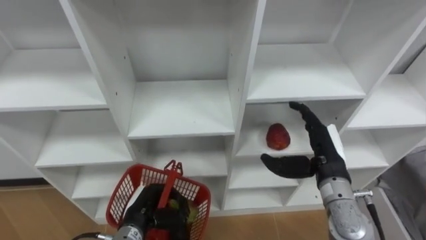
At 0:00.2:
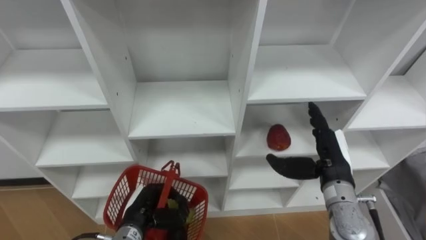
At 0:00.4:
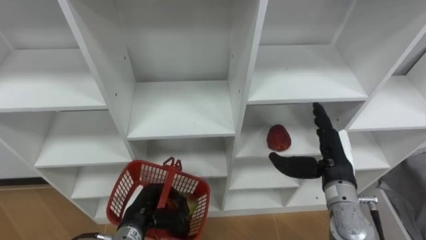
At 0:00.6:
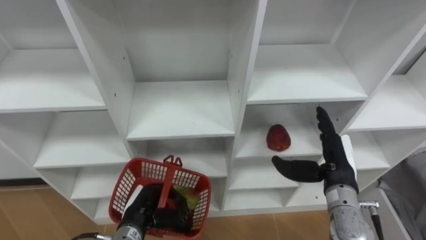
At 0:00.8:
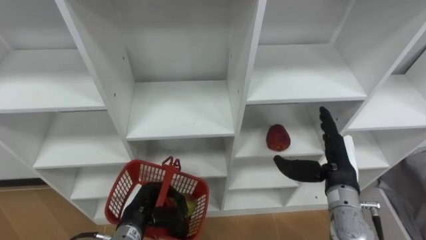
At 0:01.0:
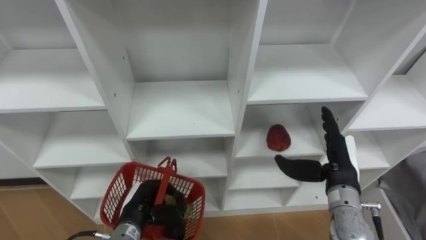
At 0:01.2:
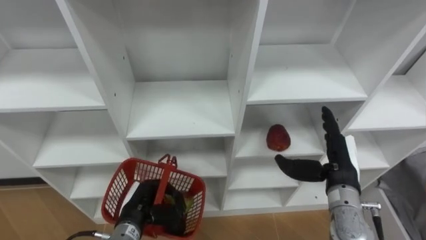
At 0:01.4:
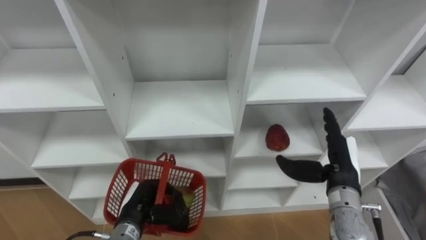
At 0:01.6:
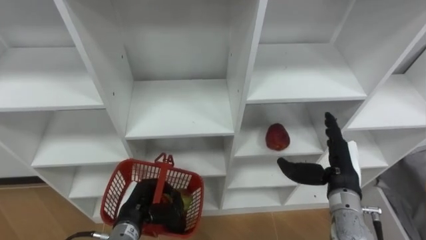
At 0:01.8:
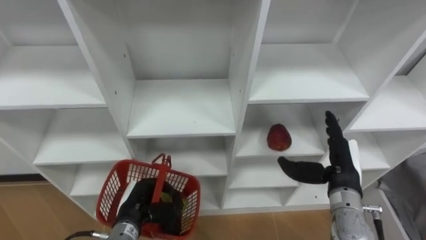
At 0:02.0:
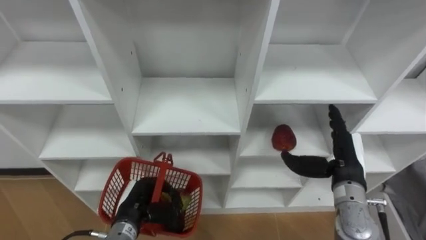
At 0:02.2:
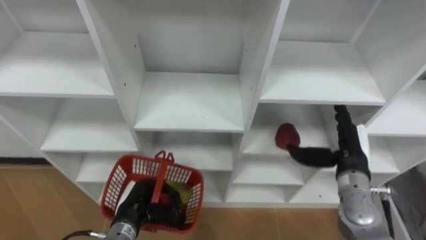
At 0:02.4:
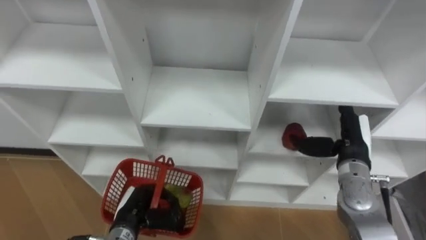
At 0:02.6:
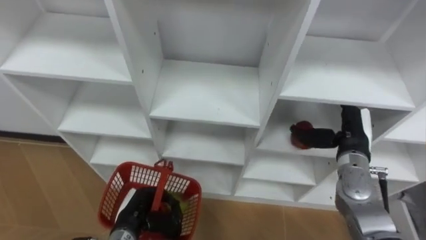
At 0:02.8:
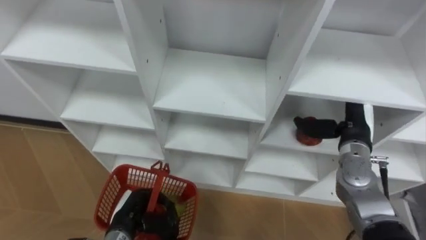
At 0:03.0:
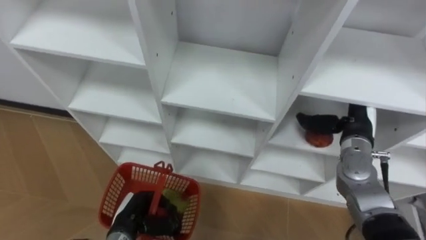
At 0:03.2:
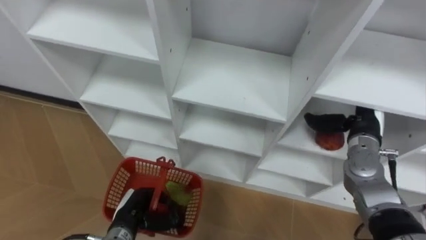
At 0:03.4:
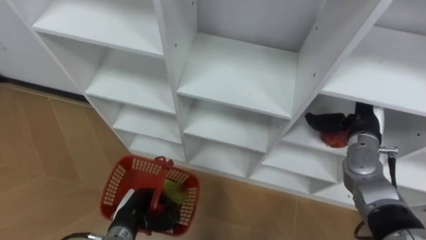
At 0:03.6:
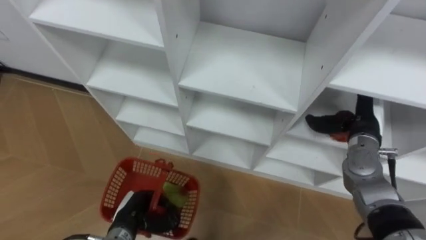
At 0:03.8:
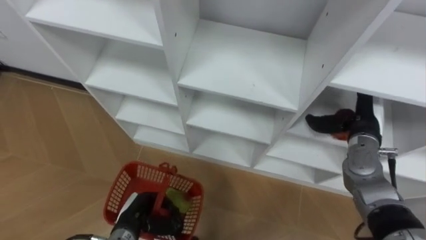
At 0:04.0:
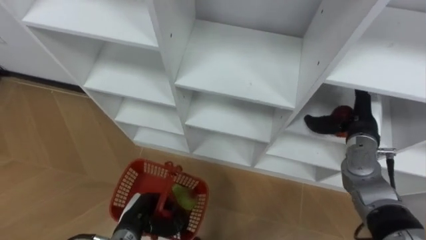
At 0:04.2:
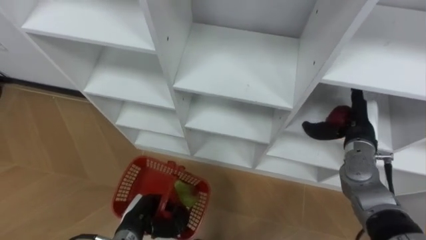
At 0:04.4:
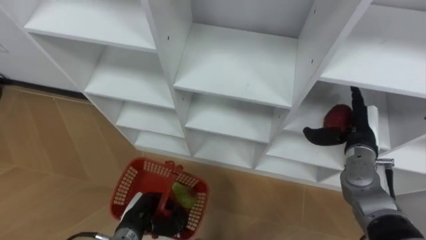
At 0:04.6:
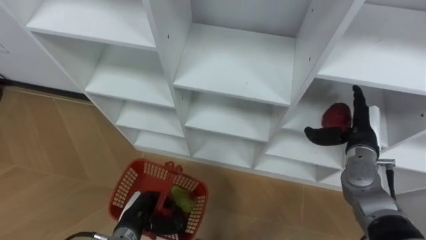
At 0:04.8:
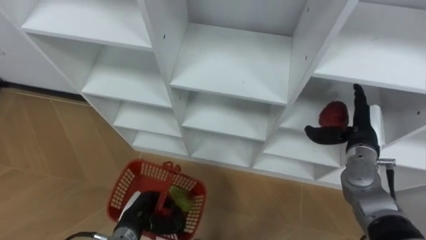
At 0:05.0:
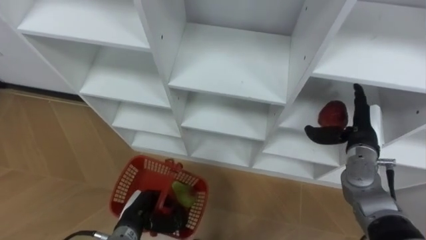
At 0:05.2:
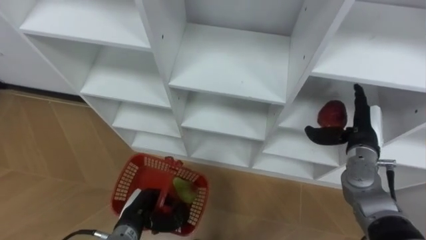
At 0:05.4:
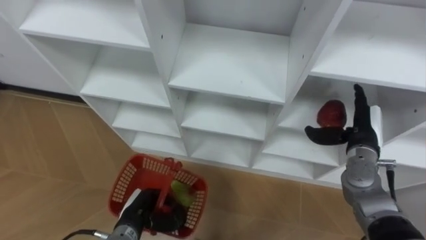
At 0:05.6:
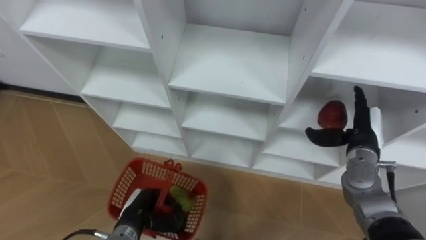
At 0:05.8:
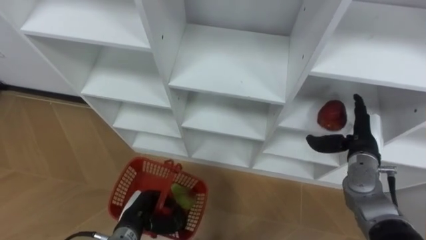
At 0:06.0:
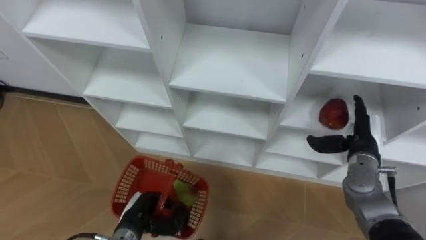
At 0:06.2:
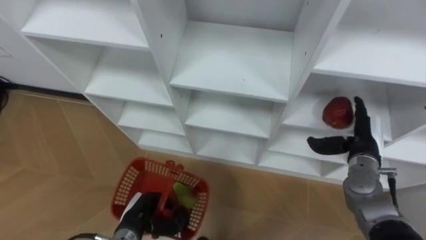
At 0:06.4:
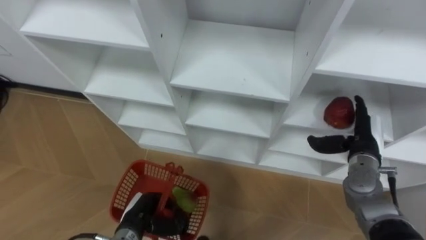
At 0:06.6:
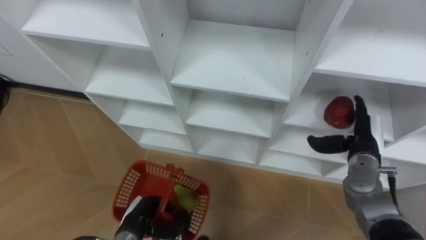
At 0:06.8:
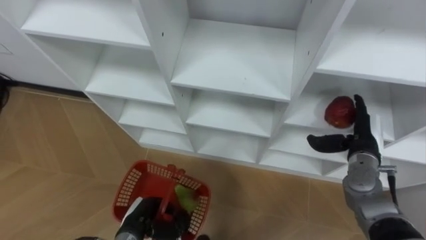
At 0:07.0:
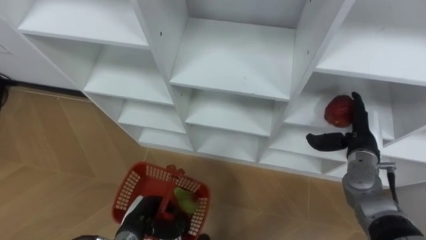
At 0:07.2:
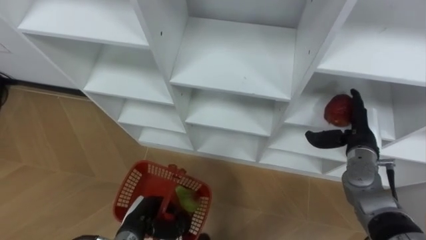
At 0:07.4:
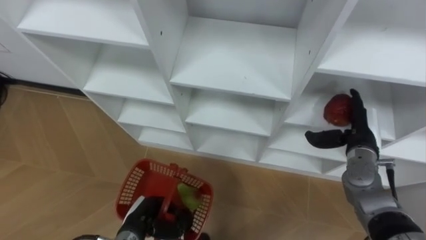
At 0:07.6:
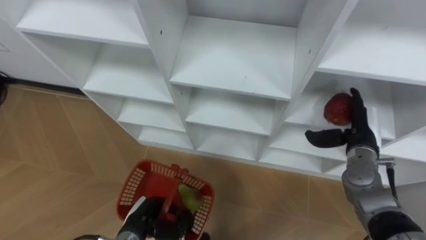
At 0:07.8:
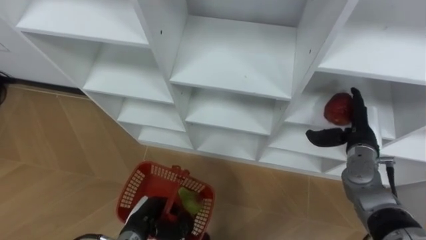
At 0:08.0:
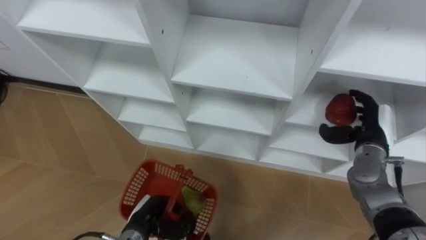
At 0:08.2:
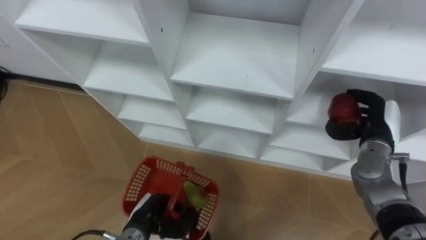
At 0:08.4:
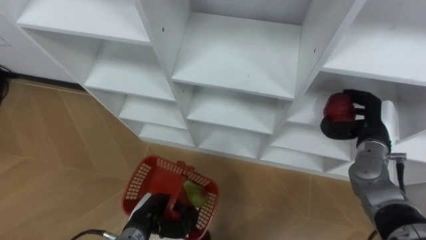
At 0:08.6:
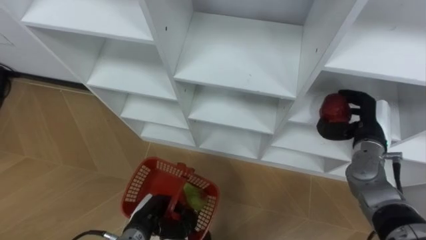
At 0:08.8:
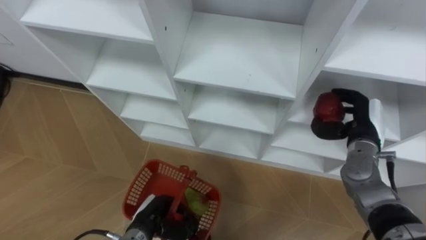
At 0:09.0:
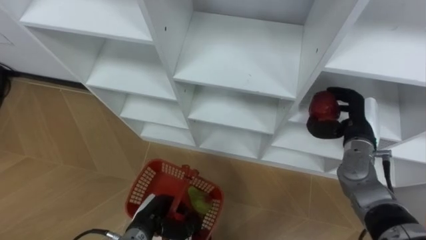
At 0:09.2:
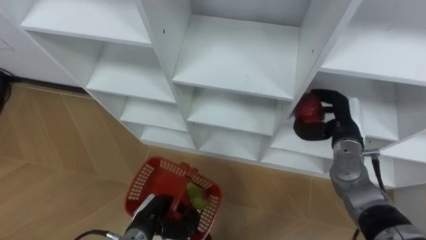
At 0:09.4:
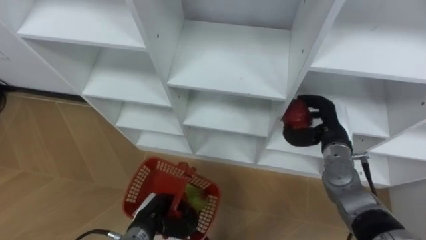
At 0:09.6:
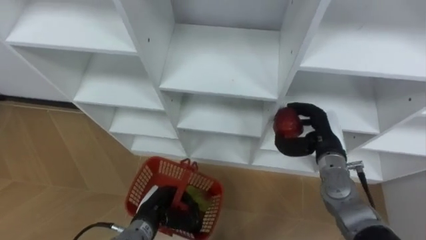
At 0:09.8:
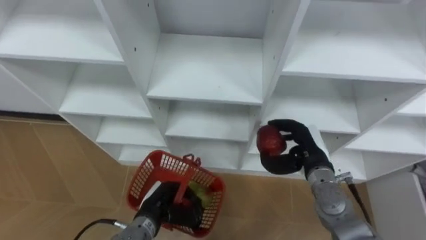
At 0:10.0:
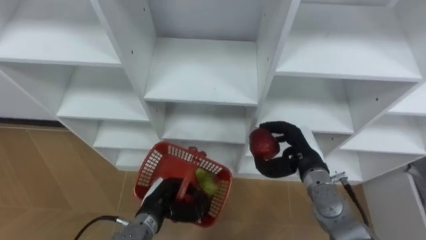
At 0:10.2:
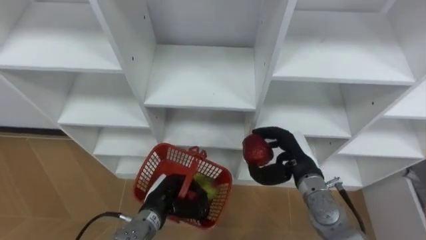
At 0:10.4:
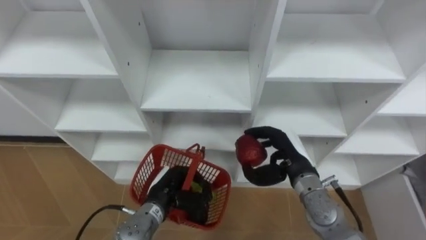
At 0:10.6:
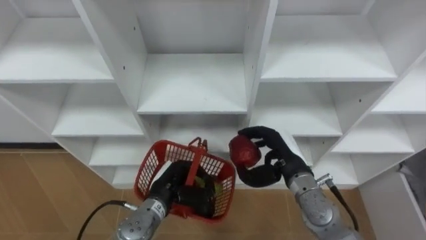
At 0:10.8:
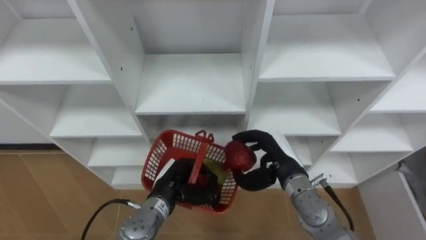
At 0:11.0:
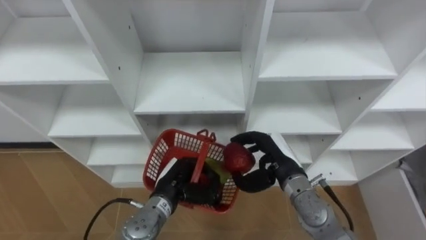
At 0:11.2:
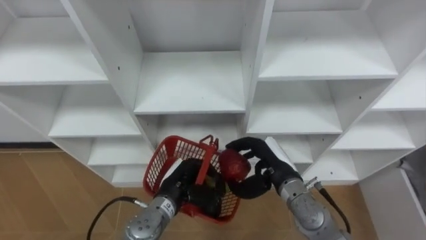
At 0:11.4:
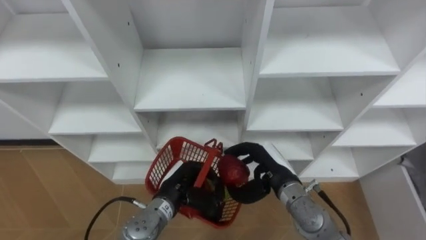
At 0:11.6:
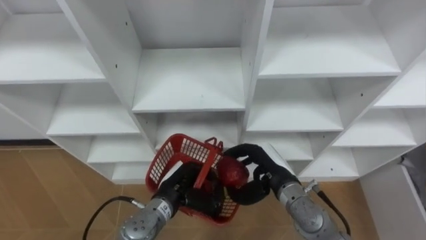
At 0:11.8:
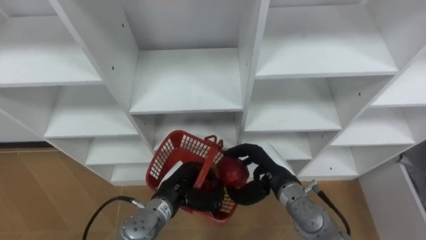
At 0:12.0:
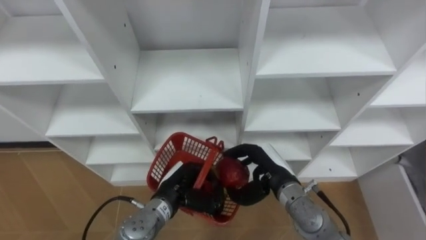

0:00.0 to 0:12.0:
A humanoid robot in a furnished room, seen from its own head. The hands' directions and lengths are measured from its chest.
Task of the whole recording: Hold the basket and collect the fruits from 3 different cells of the closet into it.
0:00.0 to 0:01.6: The hands make only small movements.
0:01.6 to 0:03.0: The right hand is displaced forward by approximately 10 cm.
0:04.4 to 0:06.0: The hands move only a little.
0:07.6 to 0:09.0: The right hand closes up.
0:09.0 to 0:10.4: The right hand shifts approximately 15 cm to the left and backward. The left hand shifts by some 5 cm.
0:10.4 to 0:12.0: The right hand moves approximately 5 cm.

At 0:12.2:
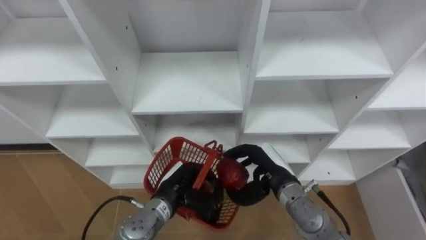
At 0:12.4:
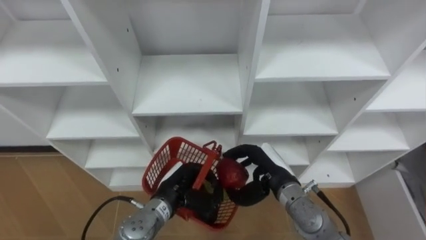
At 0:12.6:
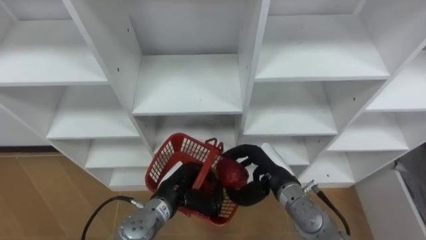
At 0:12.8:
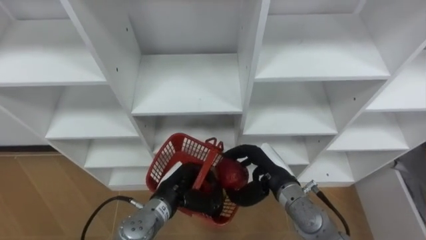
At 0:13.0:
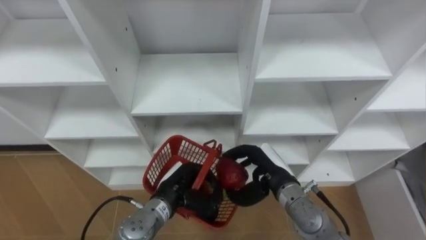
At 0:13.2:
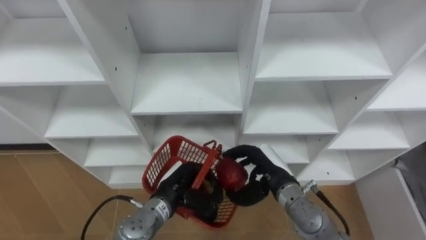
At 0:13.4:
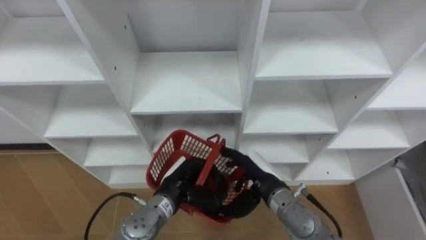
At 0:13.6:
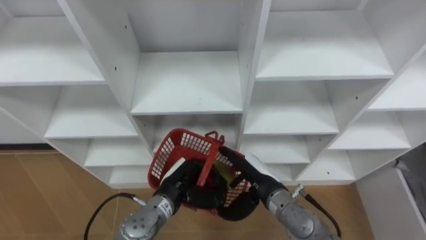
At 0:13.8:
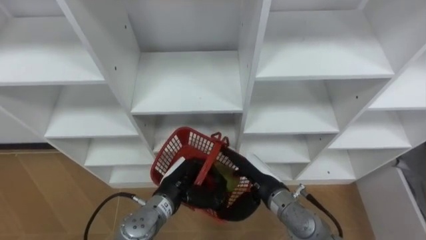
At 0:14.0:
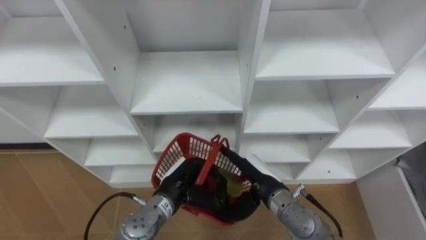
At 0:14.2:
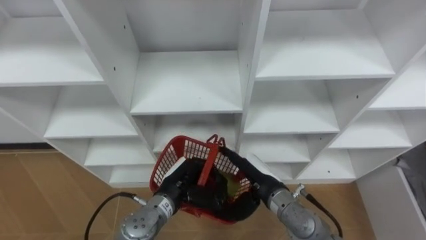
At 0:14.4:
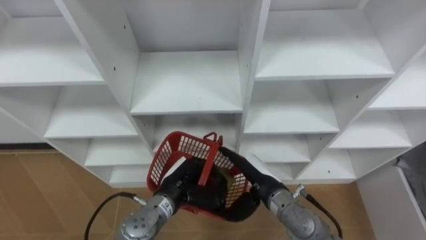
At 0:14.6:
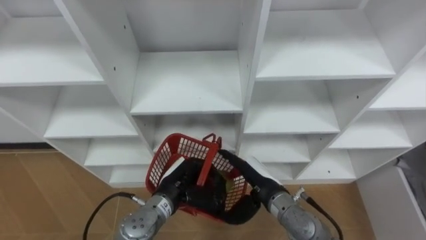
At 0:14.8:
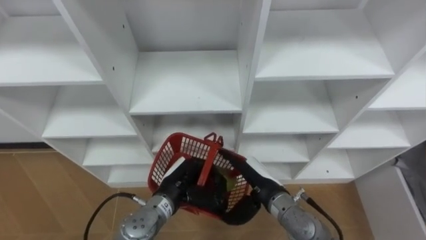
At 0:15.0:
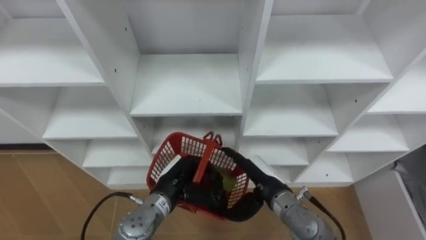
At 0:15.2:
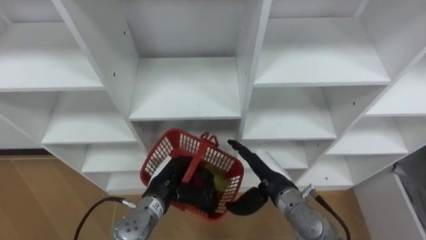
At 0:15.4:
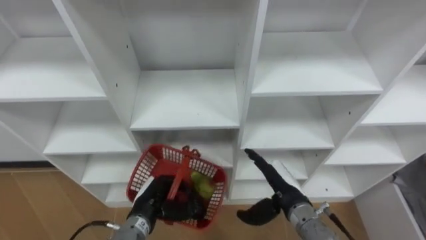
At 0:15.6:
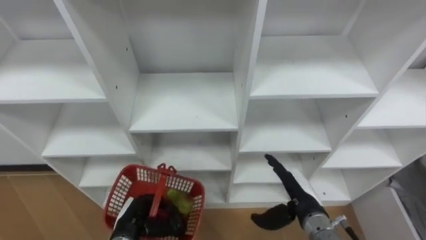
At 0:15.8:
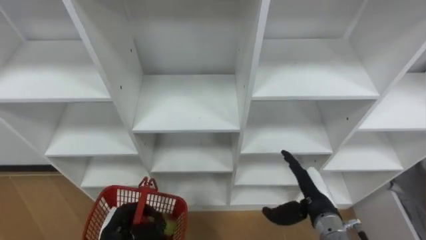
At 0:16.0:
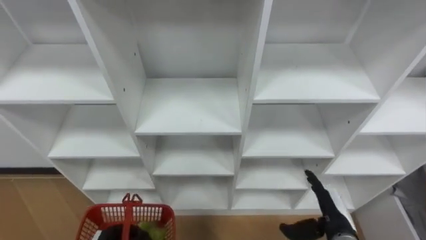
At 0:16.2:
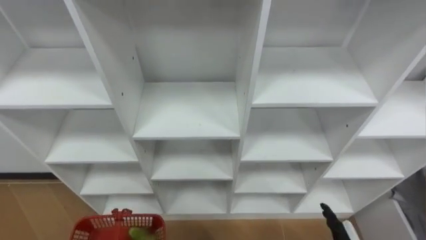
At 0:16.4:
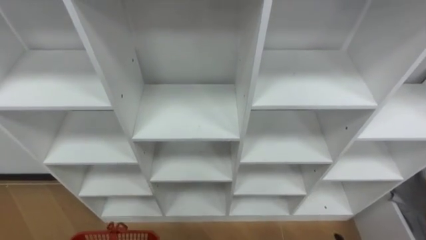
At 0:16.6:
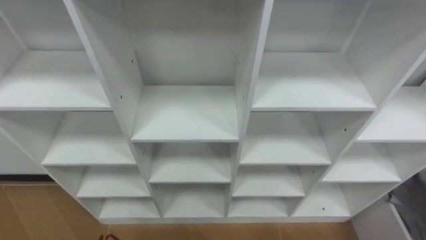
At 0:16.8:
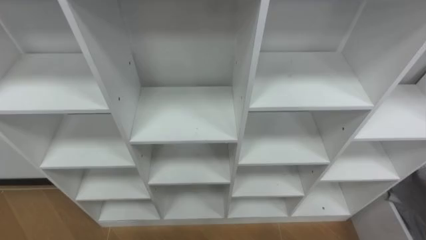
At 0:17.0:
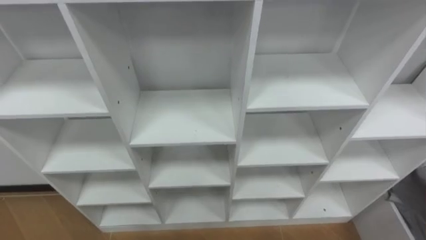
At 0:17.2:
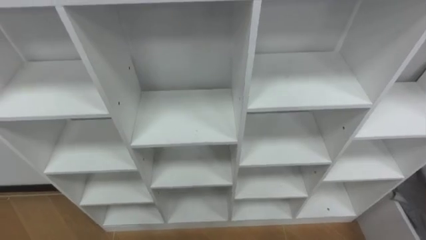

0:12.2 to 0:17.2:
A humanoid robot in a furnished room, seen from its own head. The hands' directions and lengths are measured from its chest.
Task of the whole recording: Hold the basket and collect the fruits from 3 different cells of the closet into it.
0:12.2 to 0:13.8: The right hand opens up.
0:13.8 to 0:15.6: The right hand goes some 10 cm to the right, while the left hand moves to the left, backward and downward, about 15 cm.
